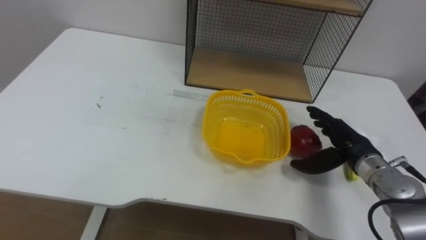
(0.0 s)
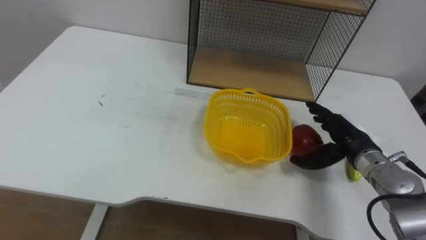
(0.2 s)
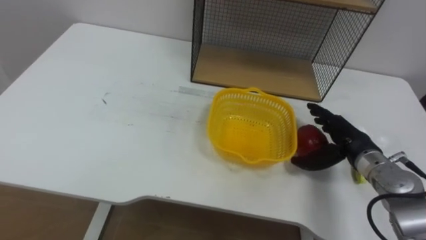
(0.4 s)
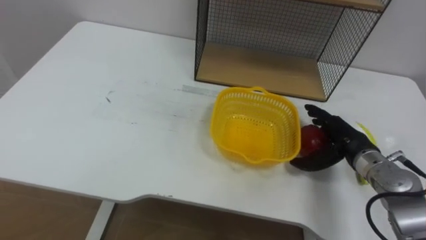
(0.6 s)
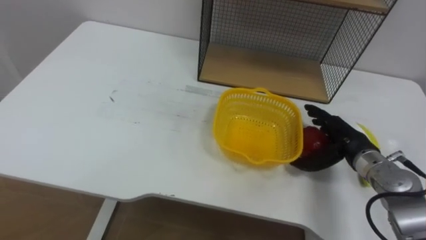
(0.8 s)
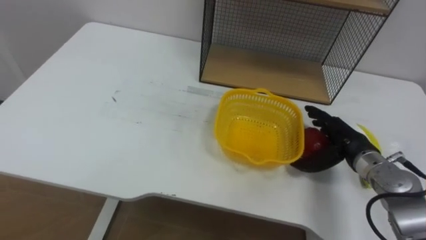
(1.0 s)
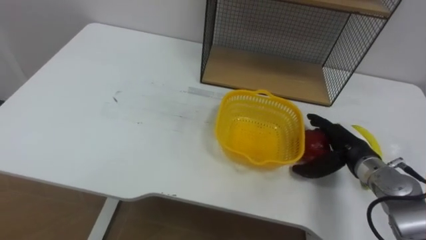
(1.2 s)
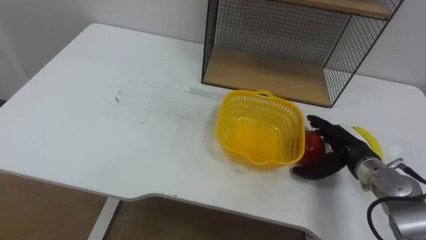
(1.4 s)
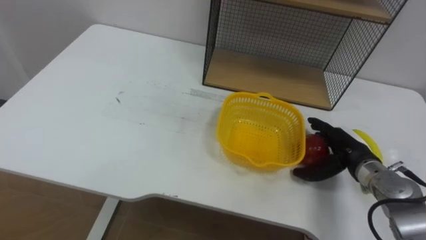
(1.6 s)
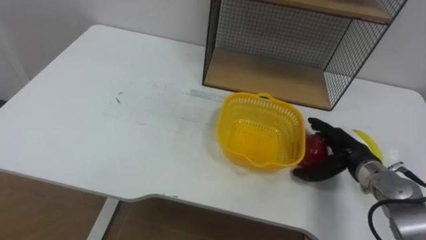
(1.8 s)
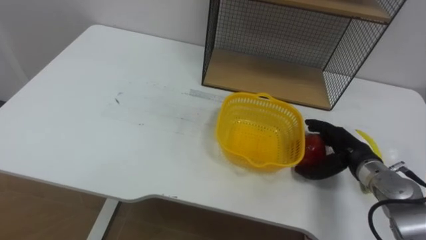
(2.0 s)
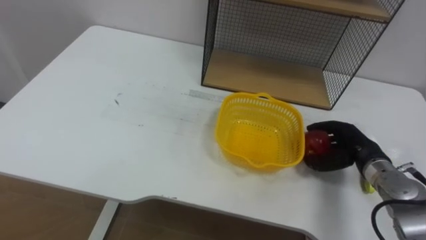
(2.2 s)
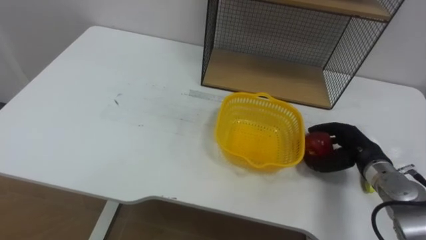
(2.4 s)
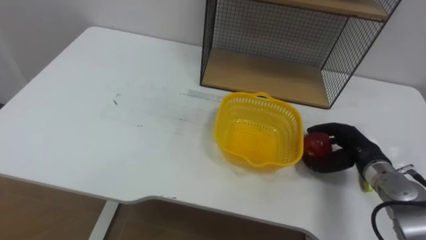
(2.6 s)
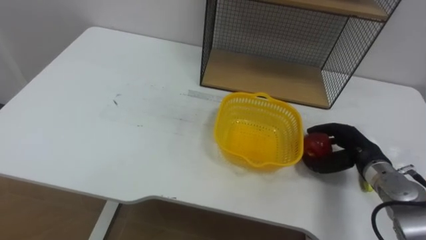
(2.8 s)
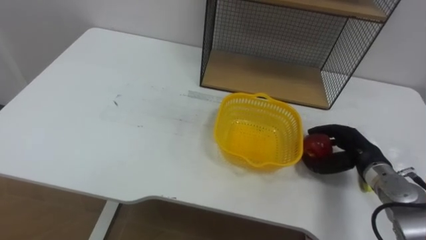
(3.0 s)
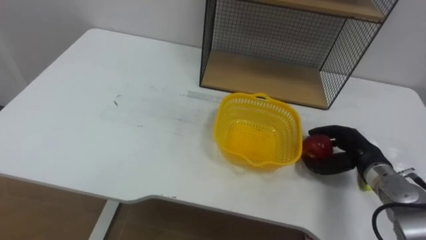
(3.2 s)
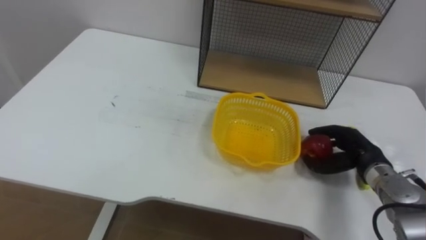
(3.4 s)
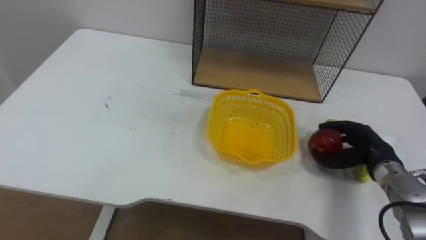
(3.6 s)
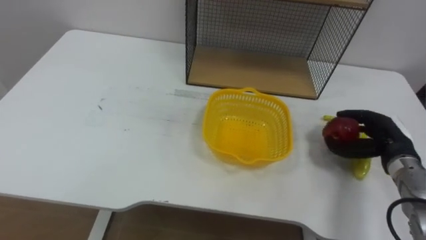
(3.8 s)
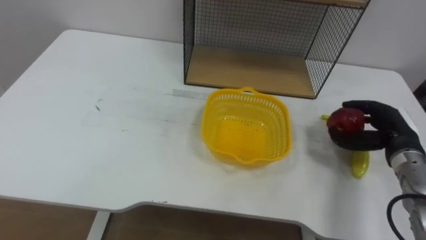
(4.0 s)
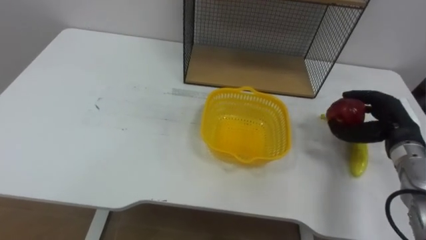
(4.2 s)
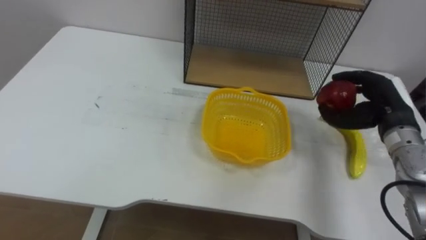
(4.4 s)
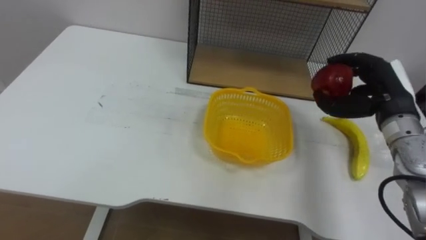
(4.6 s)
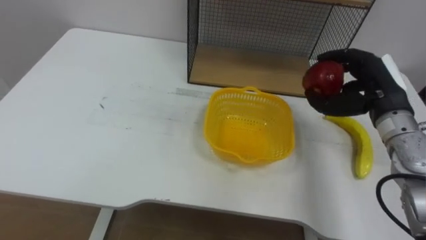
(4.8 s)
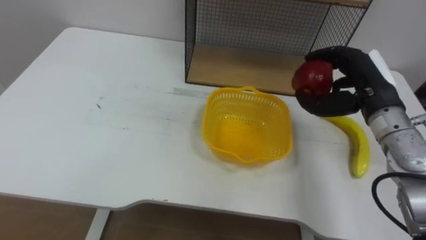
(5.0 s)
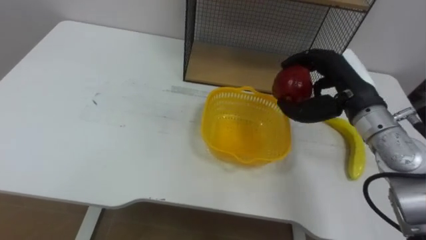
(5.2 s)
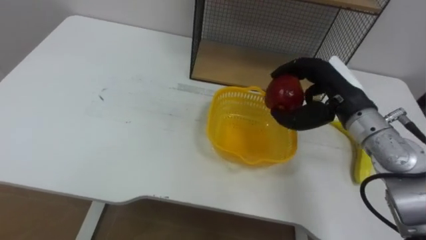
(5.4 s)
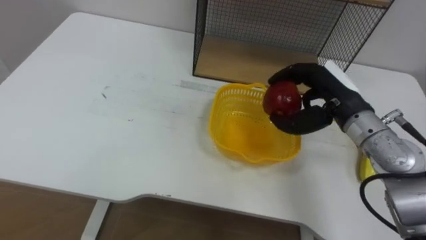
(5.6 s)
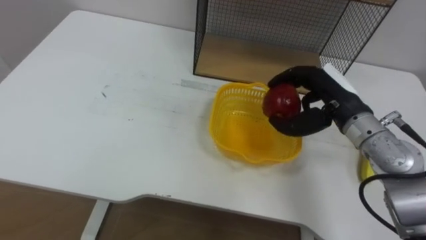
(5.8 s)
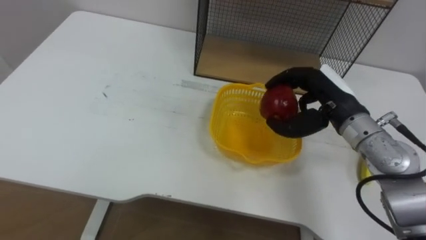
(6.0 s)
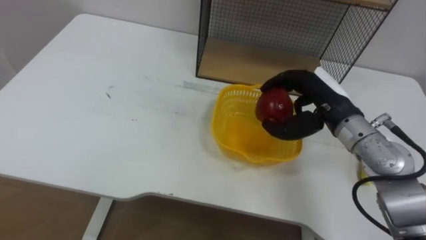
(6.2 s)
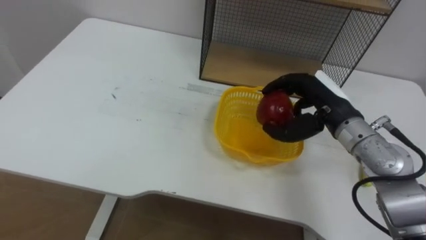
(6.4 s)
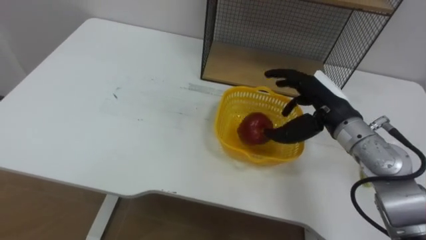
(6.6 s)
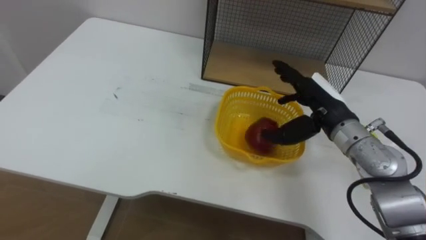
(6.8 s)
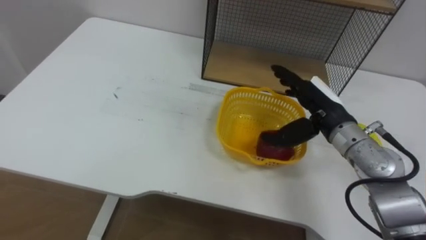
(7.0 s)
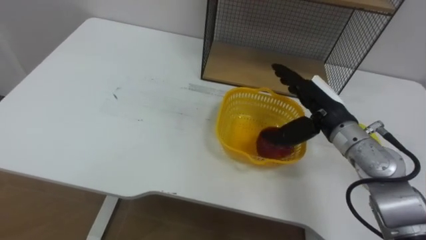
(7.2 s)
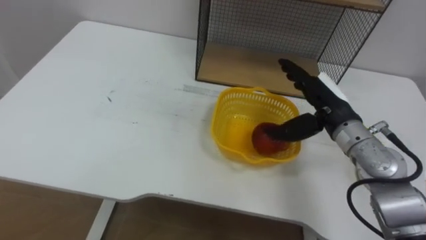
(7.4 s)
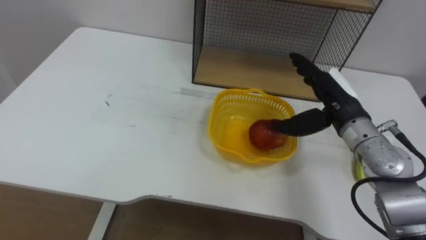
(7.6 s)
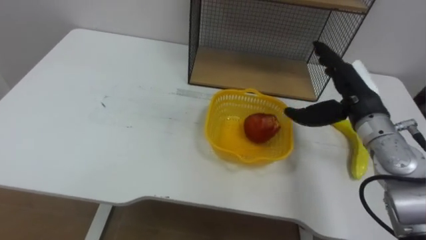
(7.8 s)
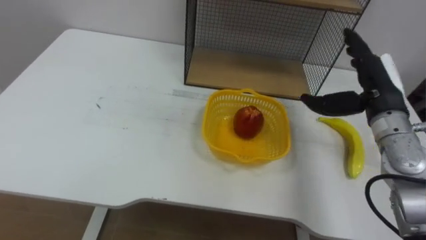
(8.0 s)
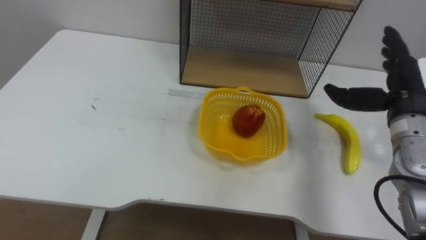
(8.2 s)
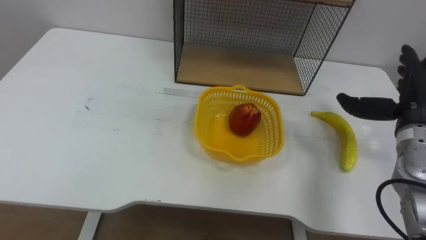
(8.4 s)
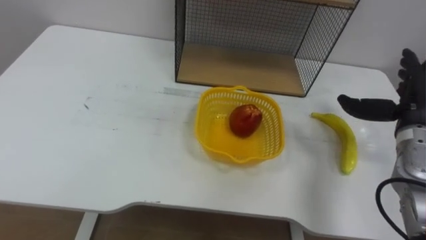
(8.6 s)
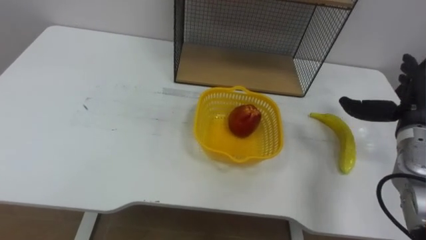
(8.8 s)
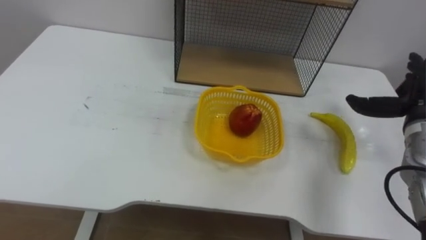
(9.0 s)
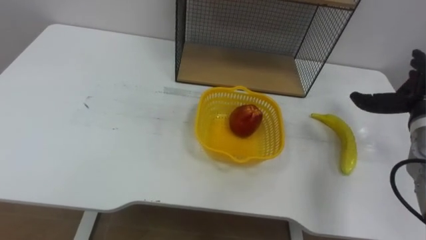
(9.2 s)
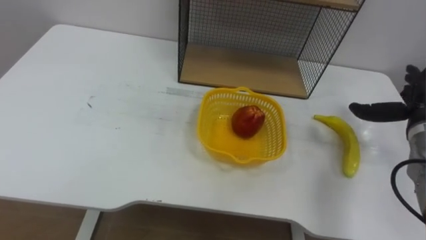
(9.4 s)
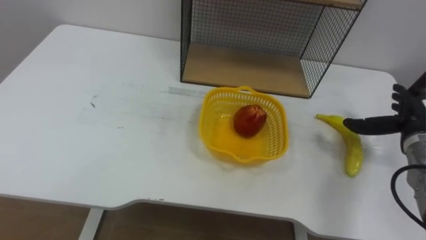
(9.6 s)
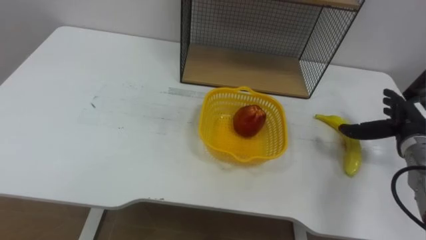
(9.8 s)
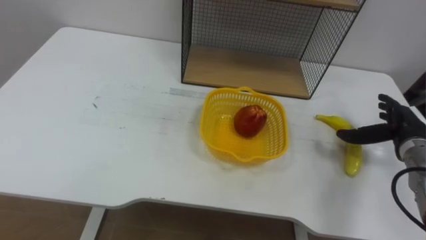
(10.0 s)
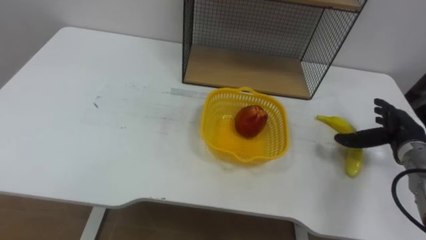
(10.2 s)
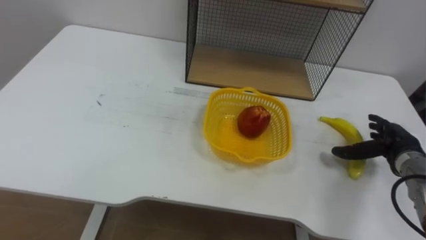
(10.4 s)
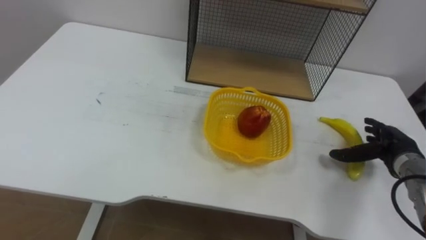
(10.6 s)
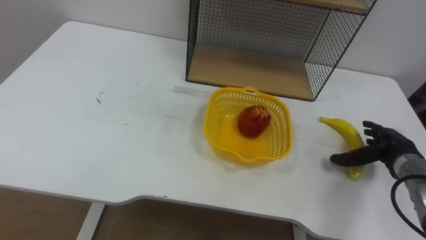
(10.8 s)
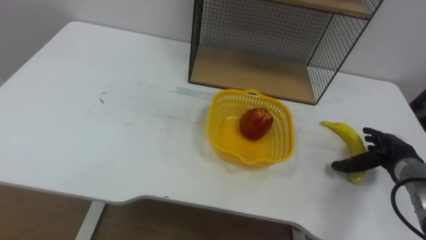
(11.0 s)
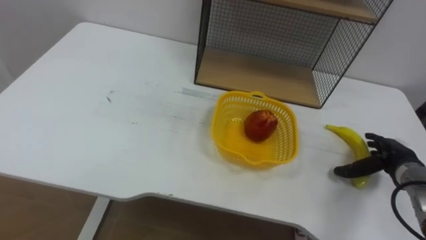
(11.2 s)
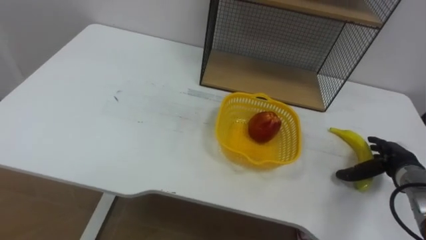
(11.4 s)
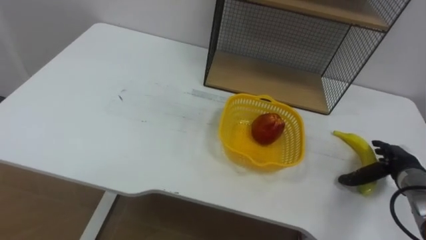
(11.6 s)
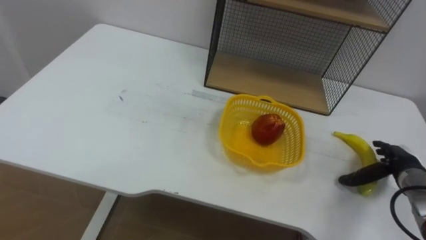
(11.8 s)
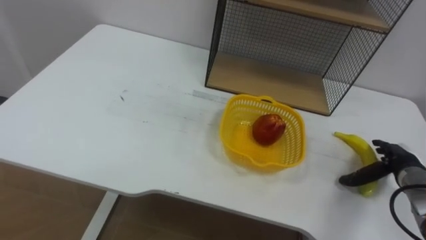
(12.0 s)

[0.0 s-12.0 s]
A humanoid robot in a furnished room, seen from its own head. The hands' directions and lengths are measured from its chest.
Task of the whole recording: Put the fruit on the table into the basket, then place the basket on the shelf.
1.6 to 3.0 s: The right hand closes.
3.0 to 4.4 s: The right hand travels upward by approximately 10 cm.
4.4 to 6.0 s: The right hand shifts roughly 10 cm to the left.
6.0 to 7.6 s: The right hand opens its fingers.
7.6 to 9.0 s: The right hand is displaced to the right by some 15 cm.

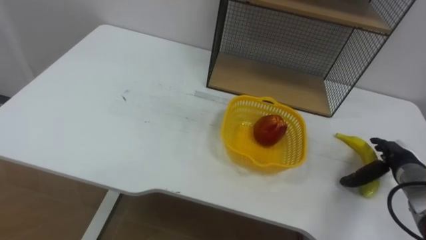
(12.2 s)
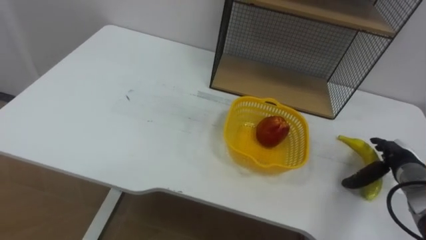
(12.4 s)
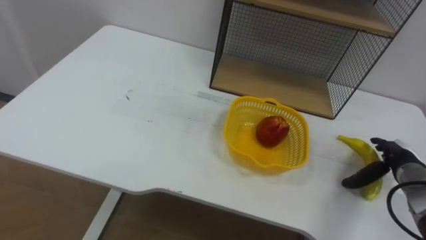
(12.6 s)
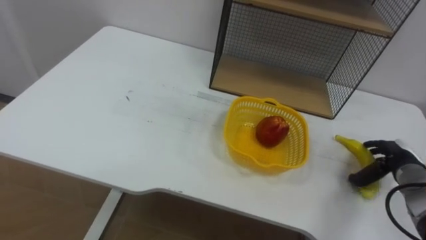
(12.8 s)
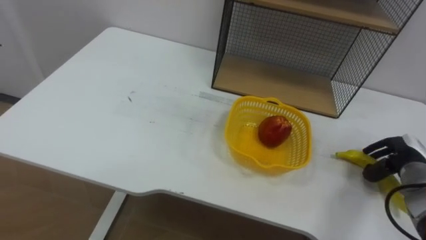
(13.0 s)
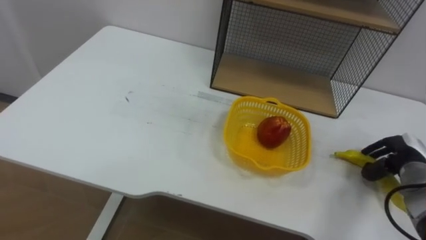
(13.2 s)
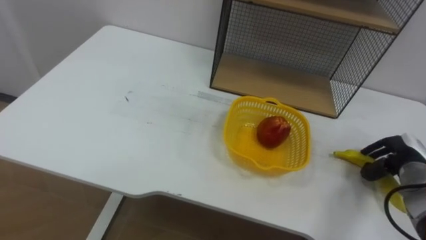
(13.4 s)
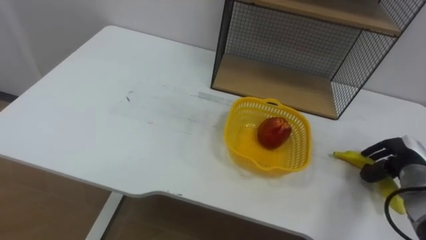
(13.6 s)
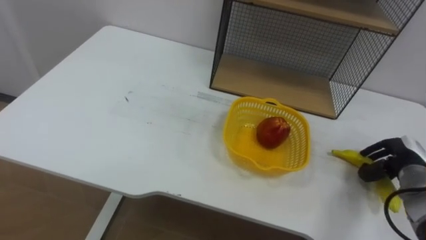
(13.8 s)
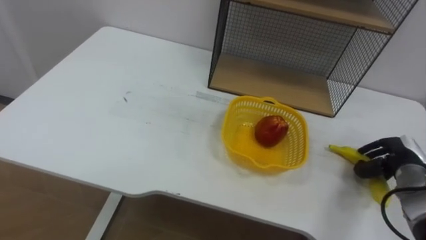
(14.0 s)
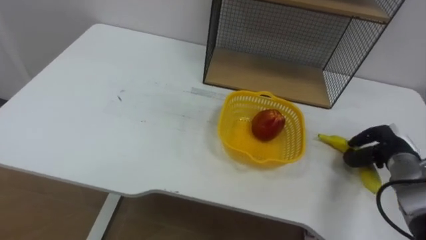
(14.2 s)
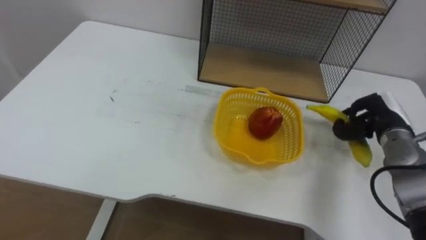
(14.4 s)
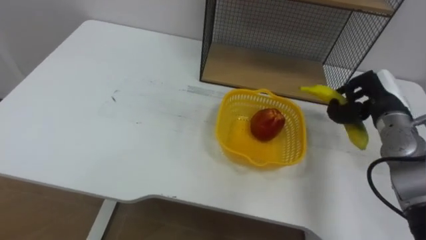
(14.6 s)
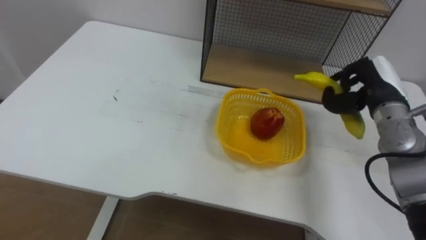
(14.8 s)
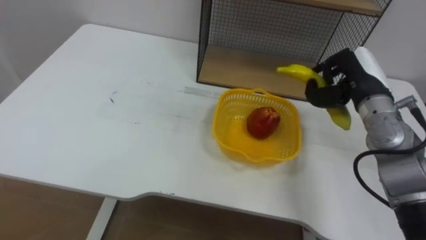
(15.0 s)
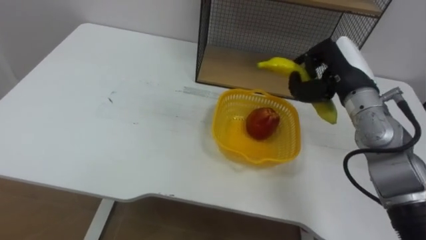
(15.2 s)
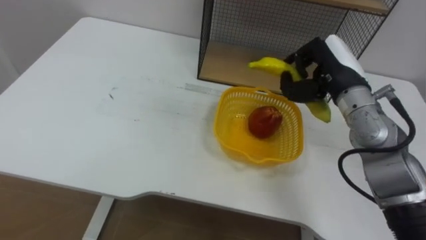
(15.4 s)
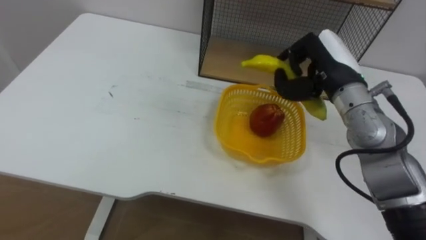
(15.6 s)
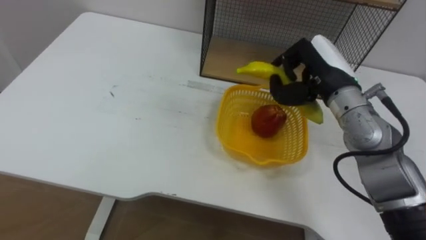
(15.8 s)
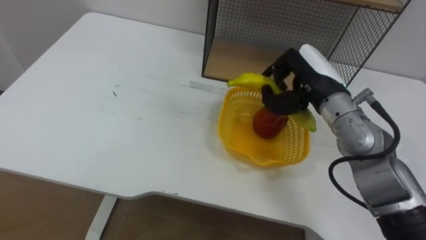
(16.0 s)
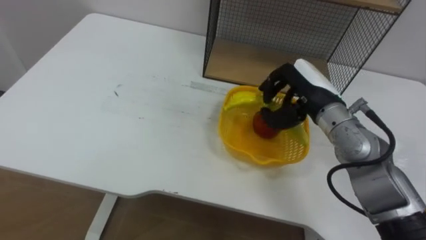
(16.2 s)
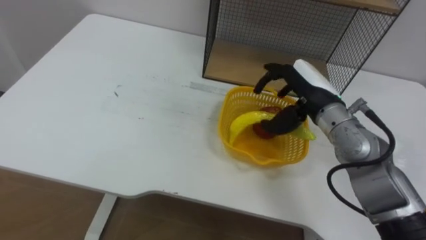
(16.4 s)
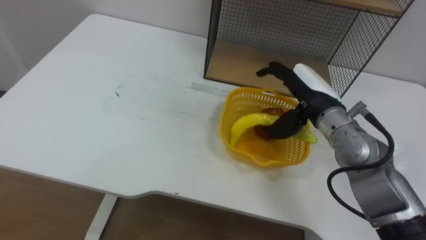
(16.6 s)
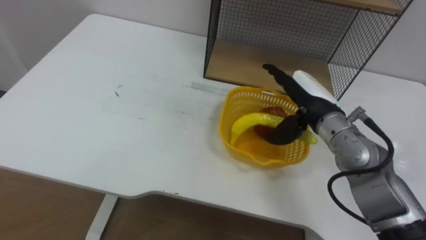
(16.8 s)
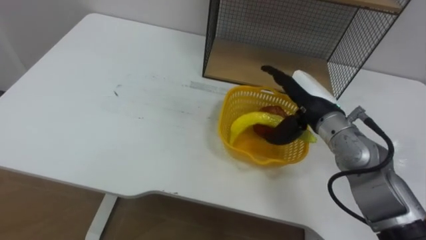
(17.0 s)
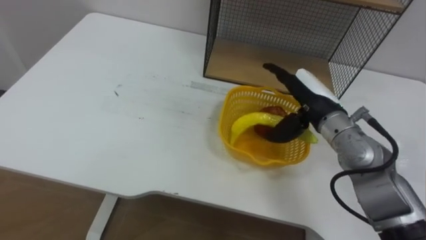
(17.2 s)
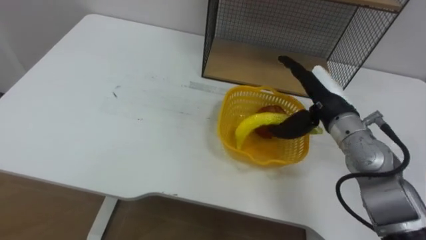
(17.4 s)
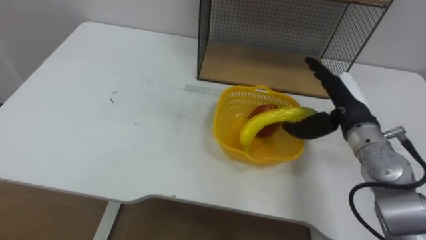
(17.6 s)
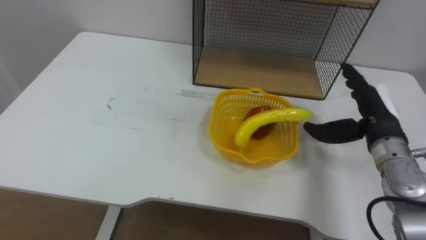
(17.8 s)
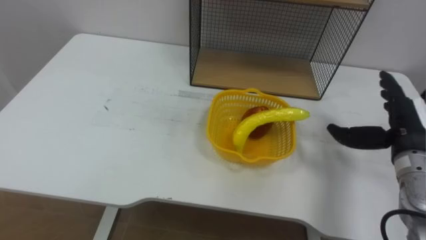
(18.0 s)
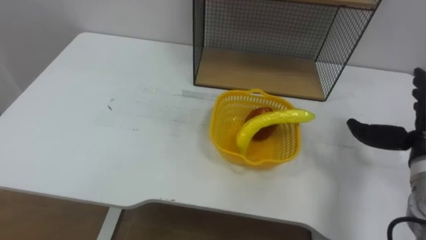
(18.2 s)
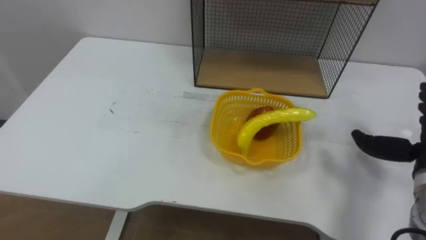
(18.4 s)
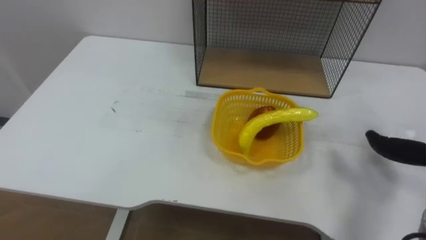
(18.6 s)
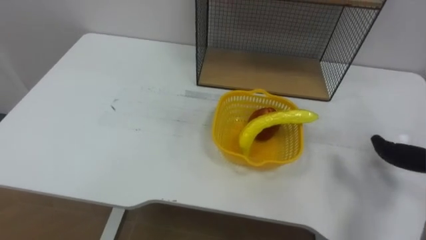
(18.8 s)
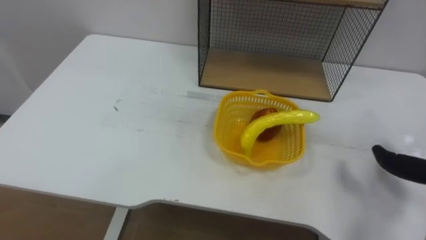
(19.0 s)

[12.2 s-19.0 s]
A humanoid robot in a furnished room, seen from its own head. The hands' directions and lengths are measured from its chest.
Task of the whole recording: Put the fruit on the table into the basket, then place the basket on the shelf.
12.2 to 13.6 s: The right hand closes.
13.6 to 15.0 s: The right hand goes approximately 20 cm upward, to the left and forward.
15.0 to 16.2 s: The right hand goes roughly 10 cm to the left.
16.2 to 17.6 s: The right hand travels to the right by roughly 5 cm, and opens.
